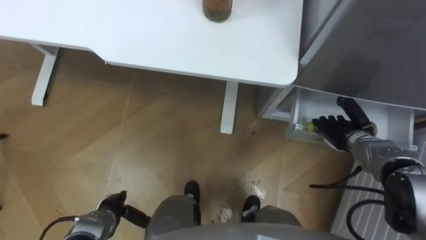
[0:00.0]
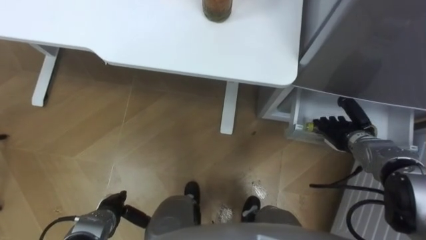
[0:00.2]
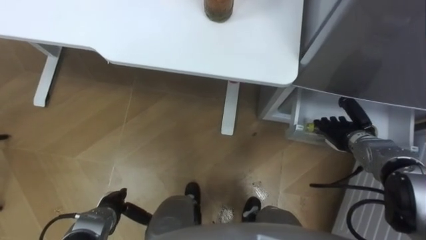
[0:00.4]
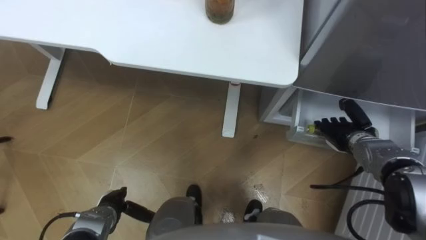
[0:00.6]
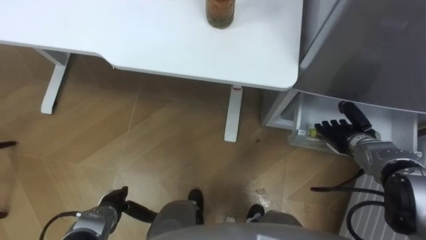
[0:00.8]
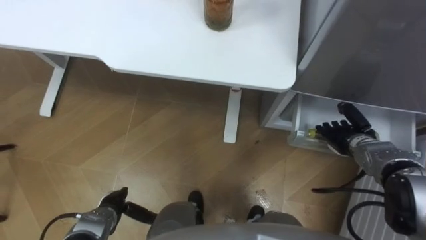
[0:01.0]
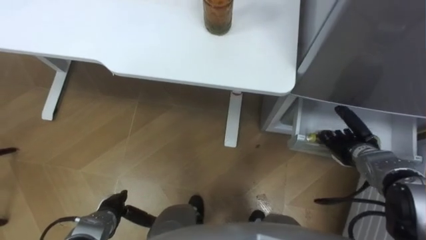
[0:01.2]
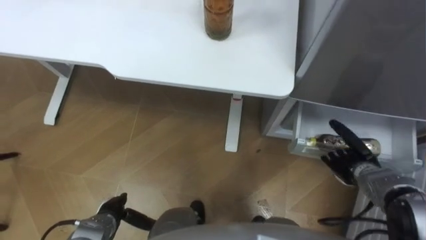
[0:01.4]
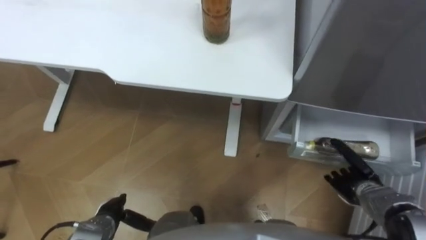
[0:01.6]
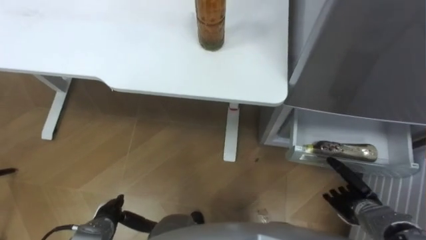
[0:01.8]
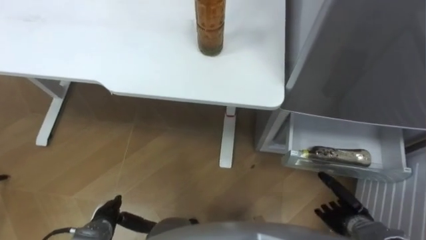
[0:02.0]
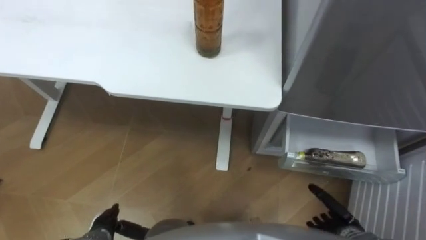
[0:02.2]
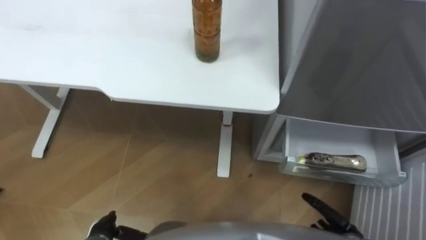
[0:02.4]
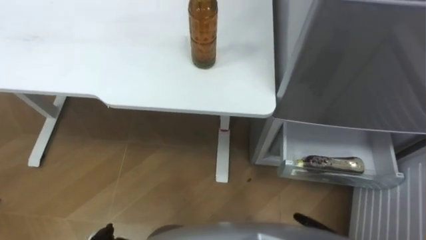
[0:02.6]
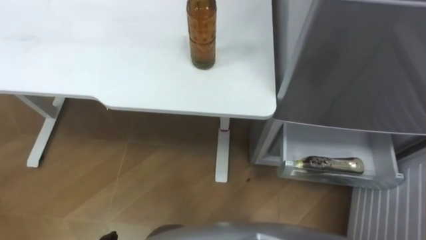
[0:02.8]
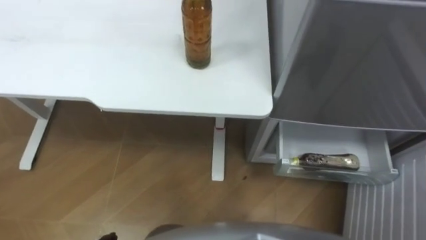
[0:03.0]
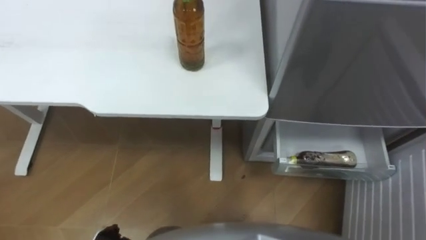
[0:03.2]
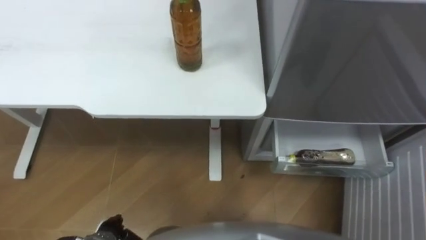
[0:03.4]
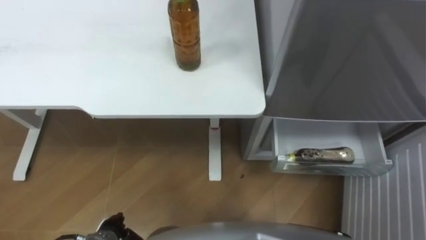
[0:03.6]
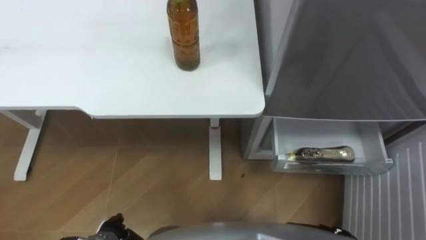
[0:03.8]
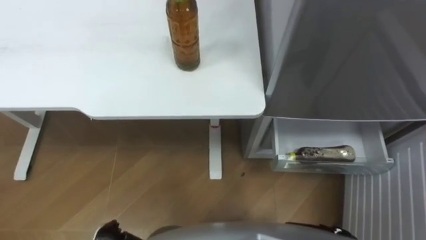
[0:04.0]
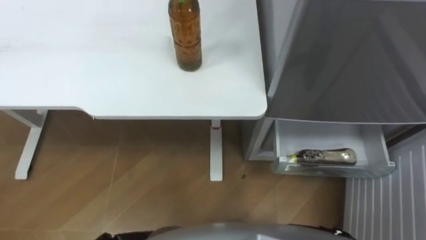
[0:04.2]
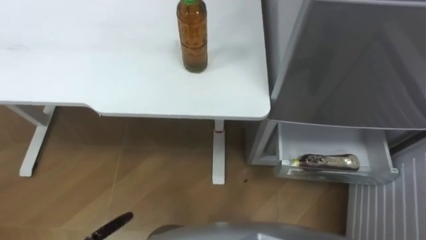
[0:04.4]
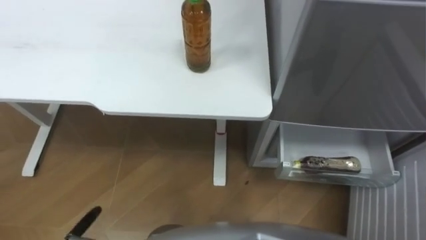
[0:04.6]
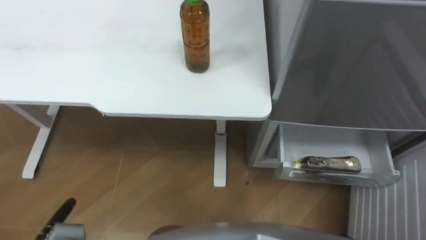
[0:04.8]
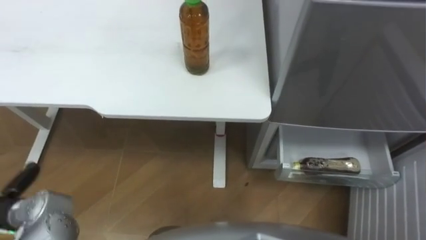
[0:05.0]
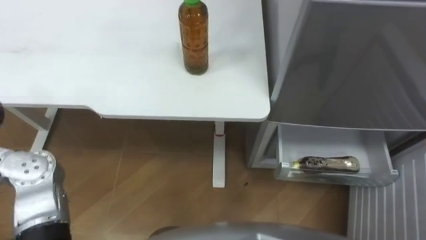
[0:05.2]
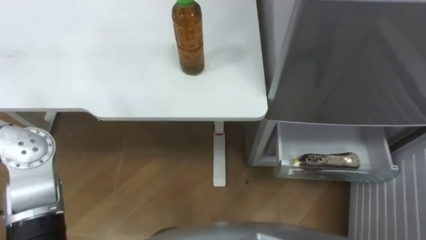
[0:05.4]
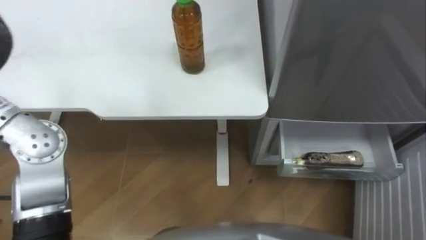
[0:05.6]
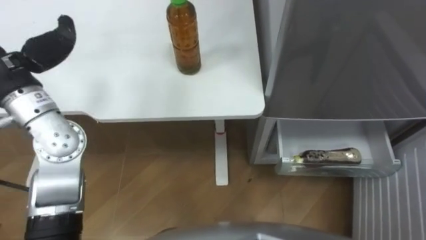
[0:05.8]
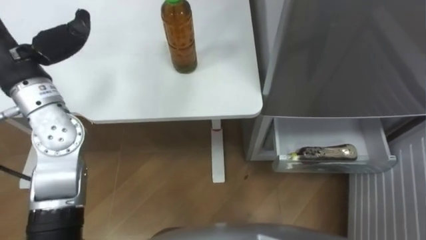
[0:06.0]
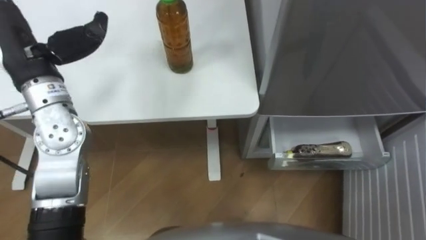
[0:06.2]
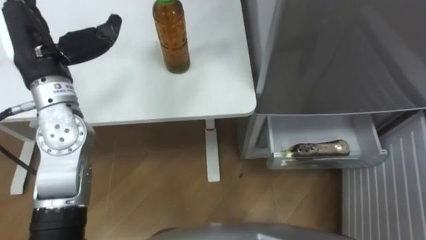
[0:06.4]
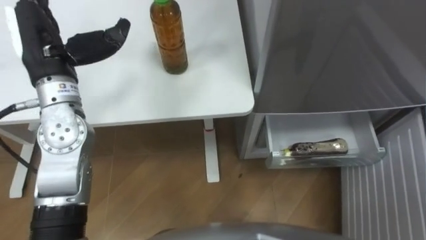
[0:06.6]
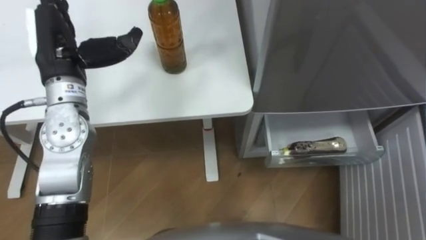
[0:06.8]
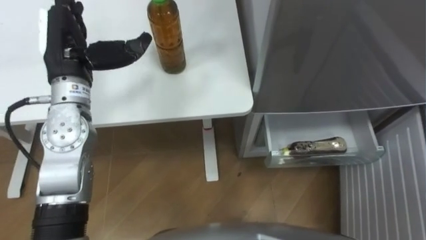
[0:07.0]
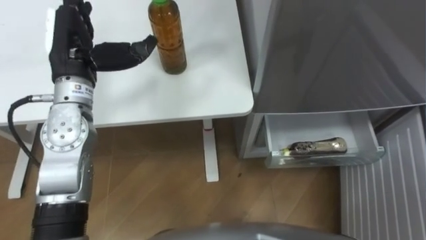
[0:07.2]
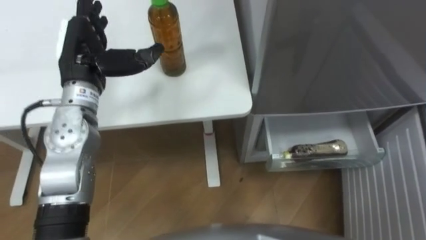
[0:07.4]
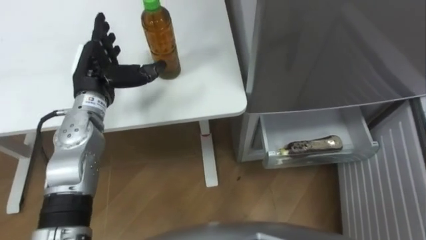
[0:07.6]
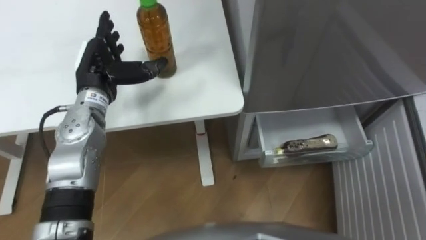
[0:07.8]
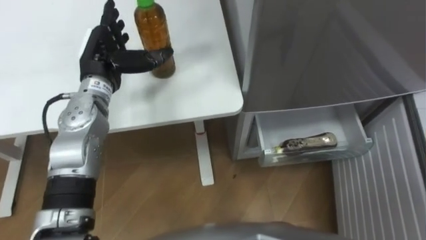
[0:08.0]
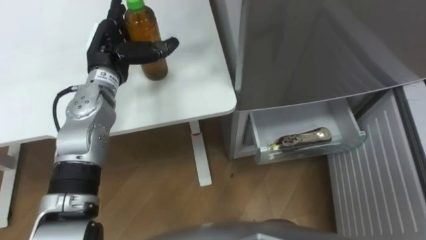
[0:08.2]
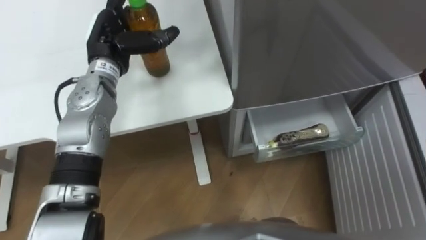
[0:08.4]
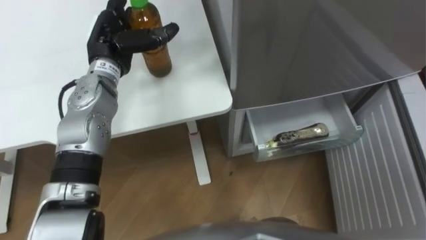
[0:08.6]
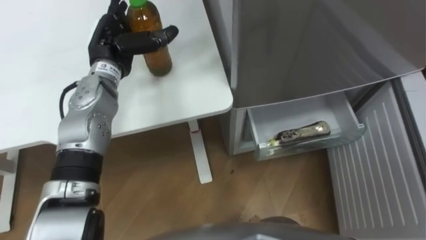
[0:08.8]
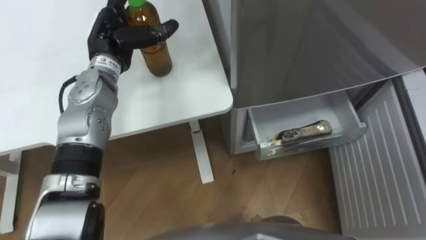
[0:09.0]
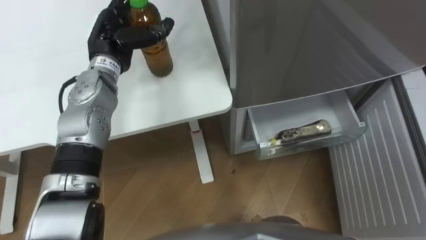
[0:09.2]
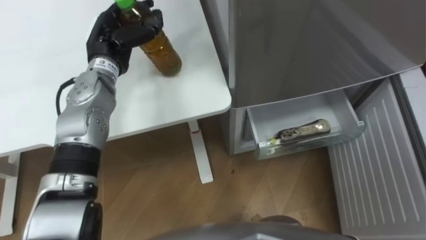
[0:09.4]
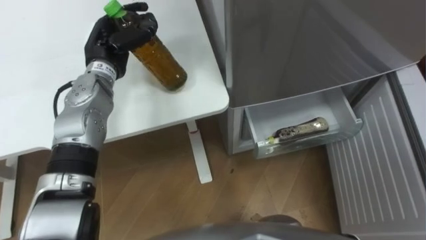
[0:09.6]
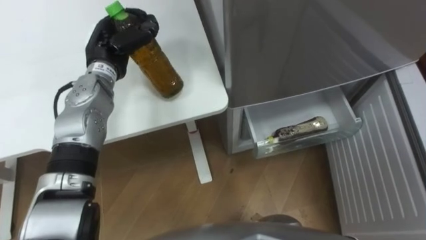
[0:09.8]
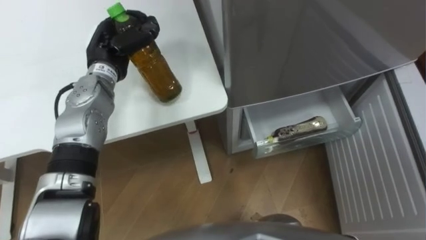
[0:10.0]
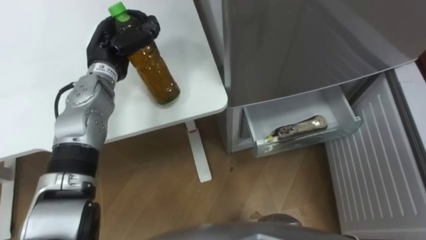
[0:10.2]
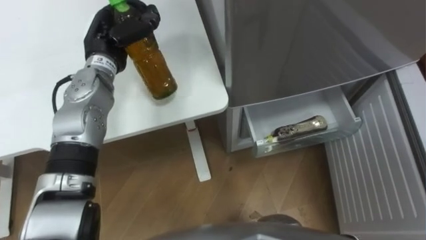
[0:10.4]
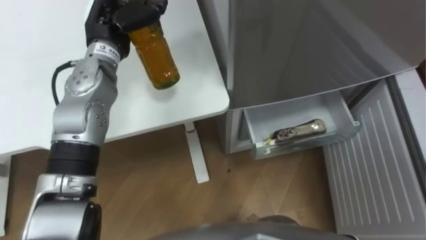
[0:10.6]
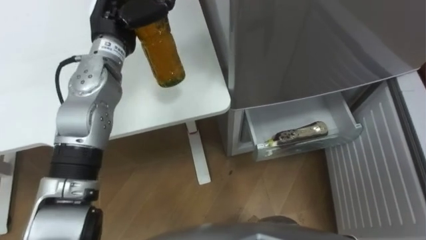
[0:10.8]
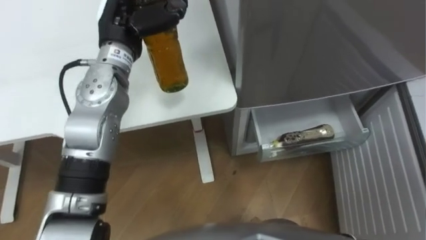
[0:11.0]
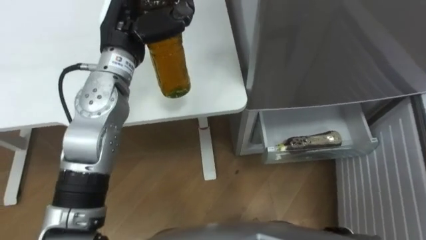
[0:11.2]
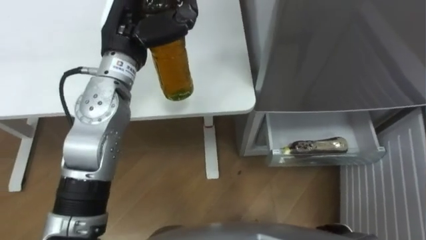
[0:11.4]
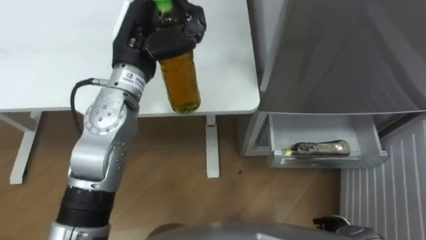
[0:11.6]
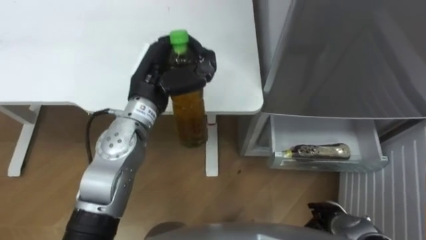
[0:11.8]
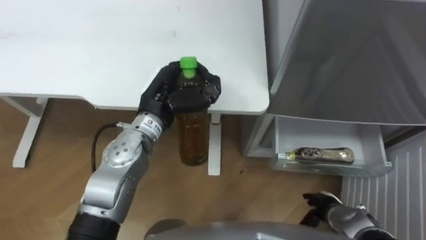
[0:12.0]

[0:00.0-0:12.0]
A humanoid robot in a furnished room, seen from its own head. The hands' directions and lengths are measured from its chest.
Task of the whole recording: Place the drink on the table on the bottom shelf of the refrigerator, then close the drawer and the refrigerator door.
0:00.0 to 0:01.6: The right hand is displaced backward by about 10 cm.
0:07.6 to 0:09.0: The left hand is displaced forward by approximately 5 cm.
0:09.0 to 0:10.4: The left hand closes up.
0:10.4 to 0:12.0: The left hand shifts approximately 15 cm to the right and backward, and moves some 5 cm upward and comes back.

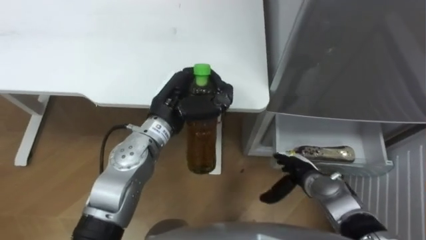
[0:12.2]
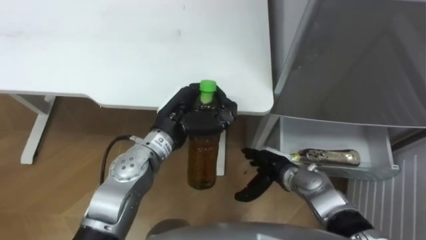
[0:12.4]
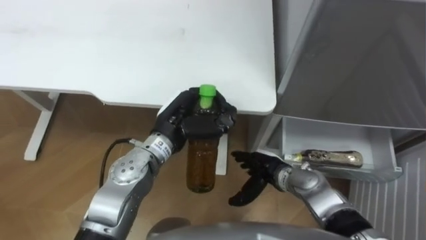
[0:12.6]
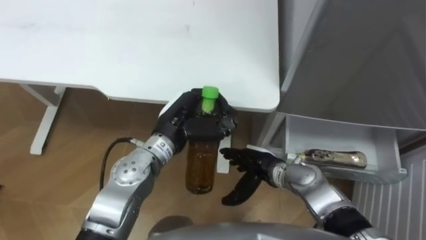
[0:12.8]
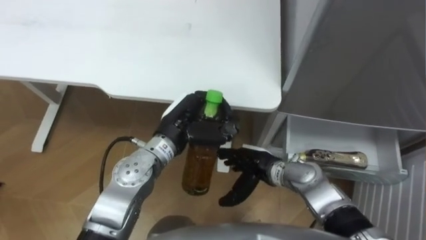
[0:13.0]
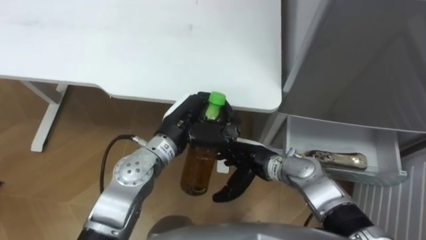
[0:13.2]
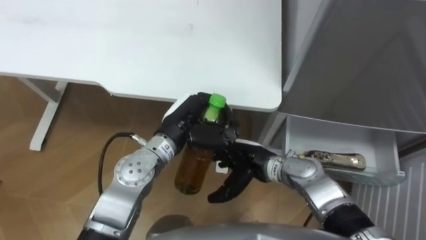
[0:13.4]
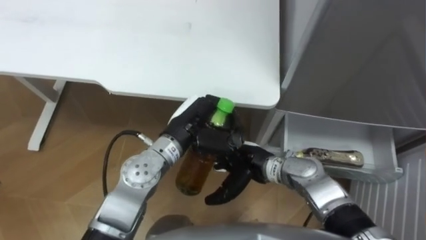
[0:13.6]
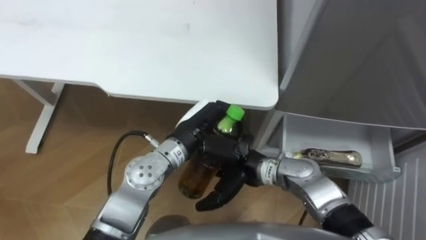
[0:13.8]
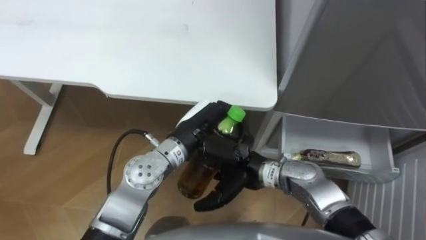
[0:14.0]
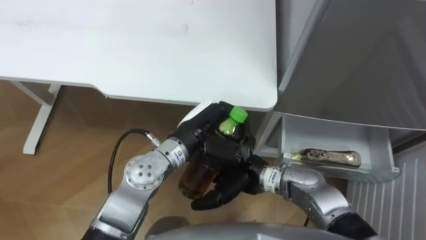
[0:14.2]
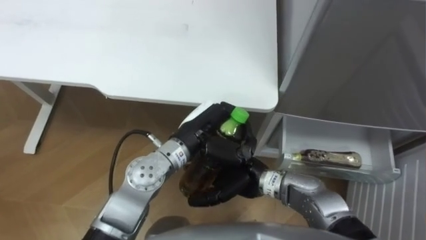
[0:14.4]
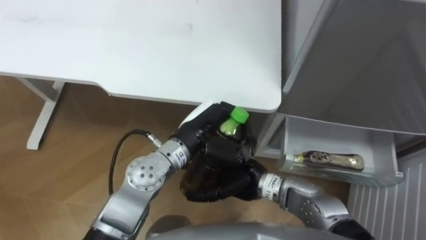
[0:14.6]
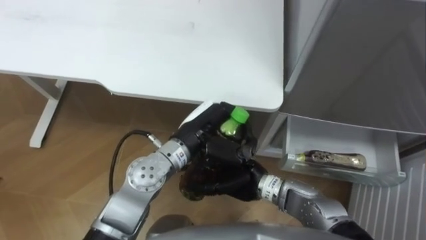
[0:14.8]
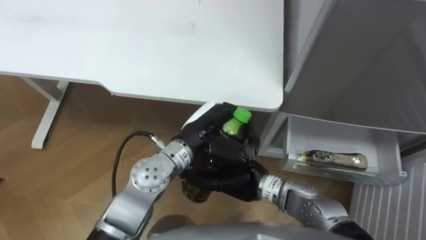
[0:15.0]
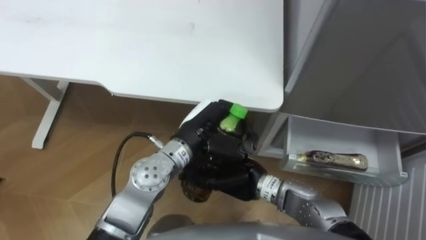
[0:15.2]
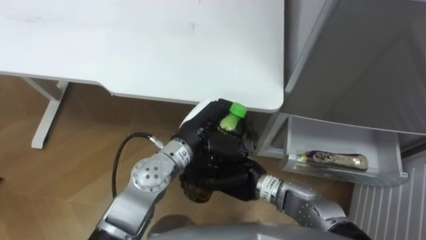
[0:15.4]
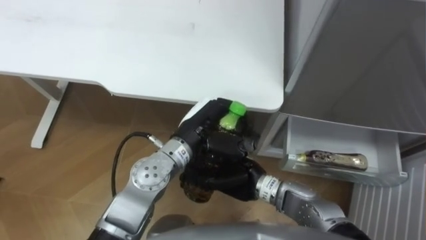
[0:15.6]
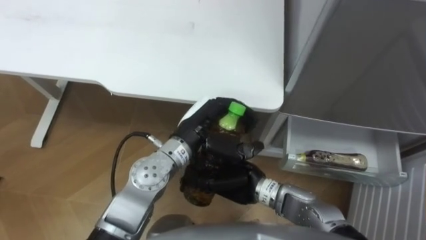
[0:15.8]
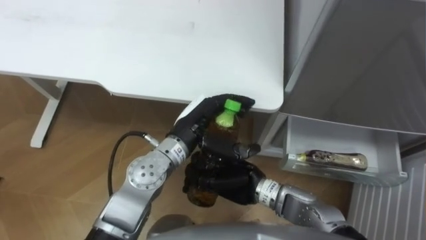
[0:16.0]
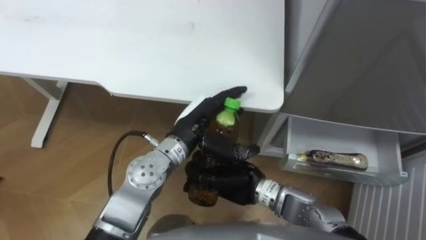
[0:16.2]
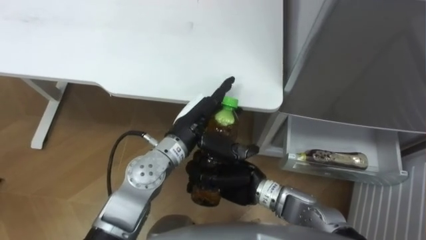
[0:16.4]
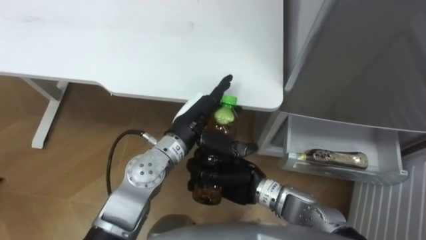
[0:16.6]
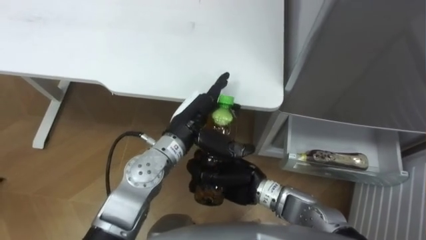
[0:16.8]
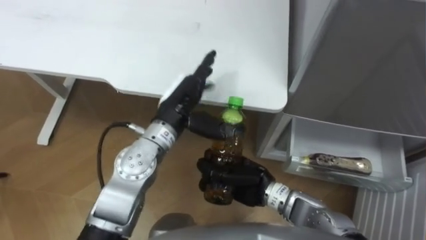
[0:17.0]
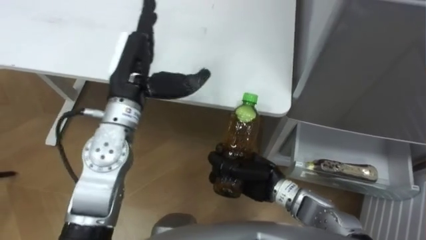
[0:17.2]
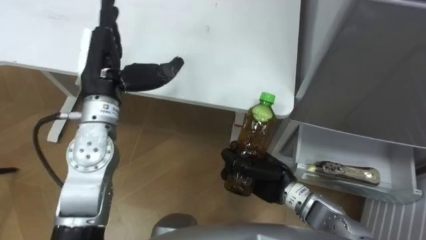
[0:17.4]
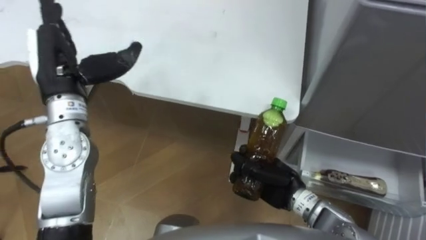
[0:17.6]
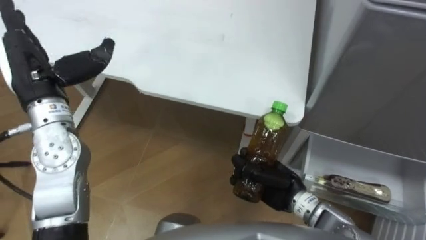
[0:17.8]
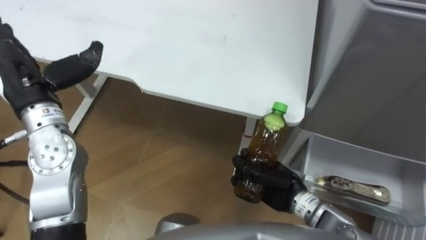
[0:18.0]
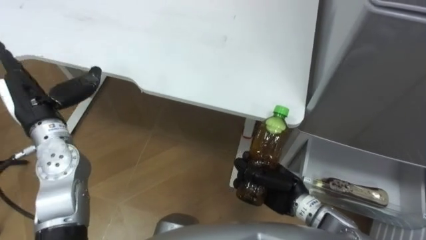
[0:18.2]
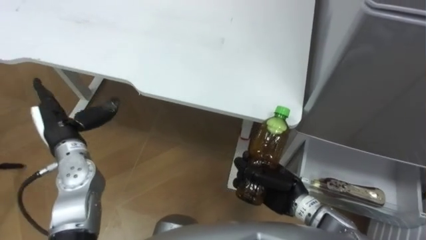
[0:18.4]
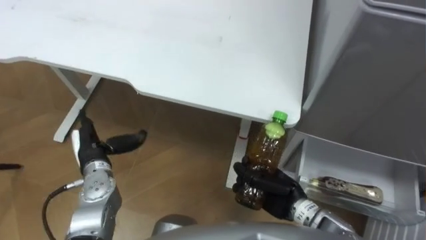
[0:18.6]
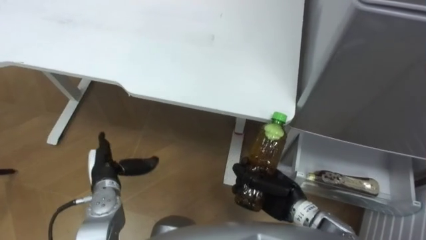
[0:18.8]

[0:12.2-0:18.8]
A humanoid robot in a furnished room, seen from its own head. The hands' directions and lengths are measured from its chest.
Task of the whole recording: Place the drink on the table on the bottom shelf of the refrigerator, then close the drawer and the refrigerator door.
0:12.2 to 0:13.8: The right hand heads to the left and upward, covering some 20 cm. The left hand ends up approximately 5 cm from where it was.
0:13.8 to 0:15.4: The right hand closes up.
0:15.4 to 0:17.2: The left hand shifts about 15 cm to the left and upward, and opens up.
0:17.2 to 0:18.8: The right hand moves to the right, some 5 cm, while the left hand shifts some 25 cm downward, to the left and backward.
